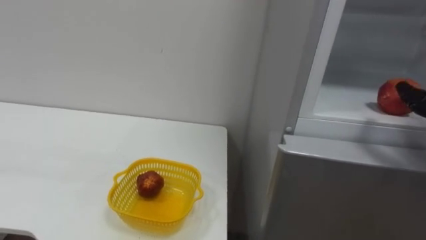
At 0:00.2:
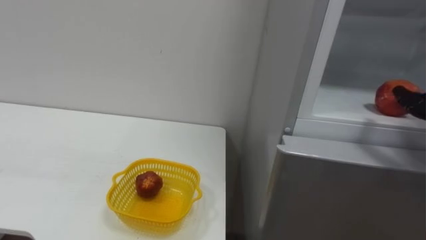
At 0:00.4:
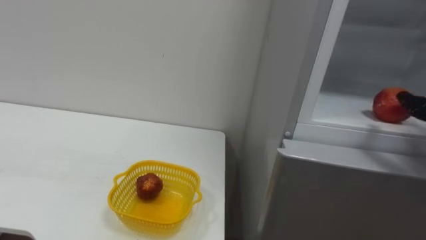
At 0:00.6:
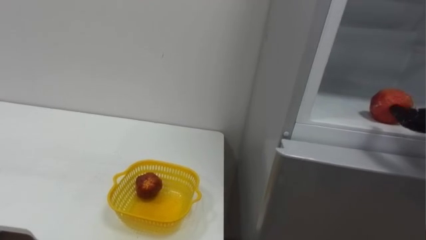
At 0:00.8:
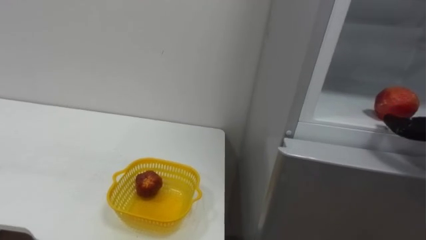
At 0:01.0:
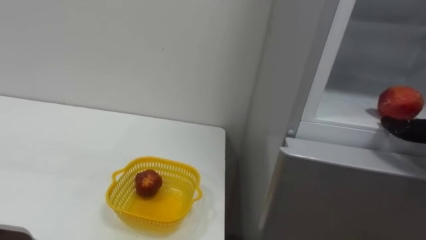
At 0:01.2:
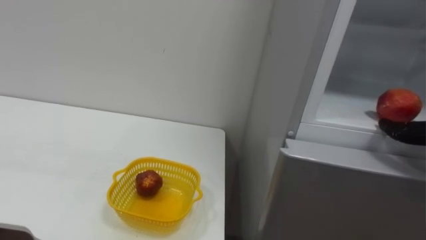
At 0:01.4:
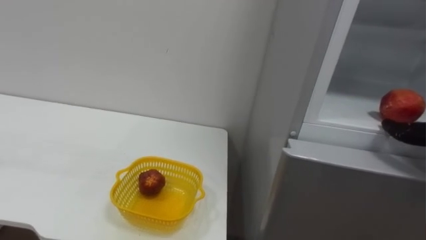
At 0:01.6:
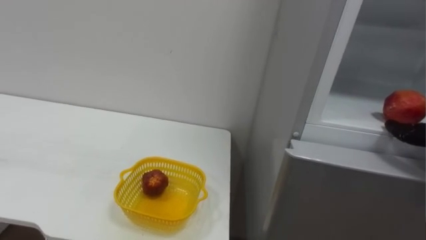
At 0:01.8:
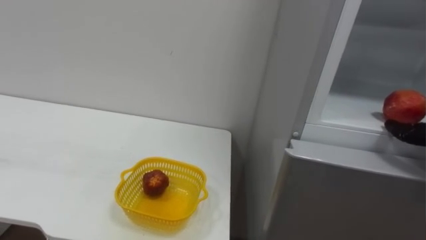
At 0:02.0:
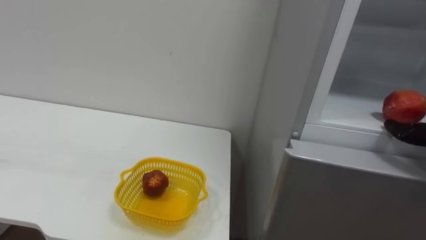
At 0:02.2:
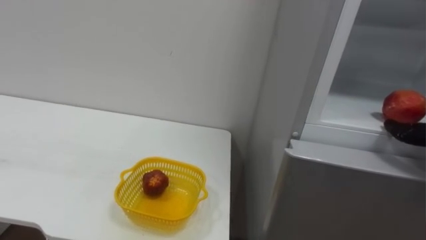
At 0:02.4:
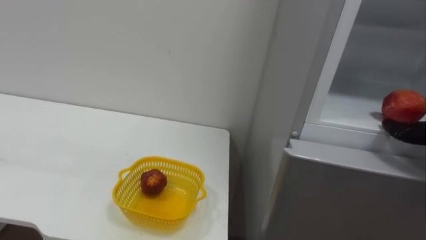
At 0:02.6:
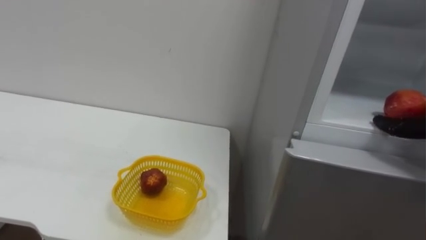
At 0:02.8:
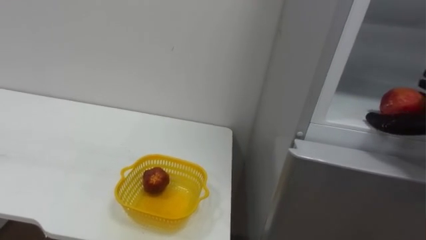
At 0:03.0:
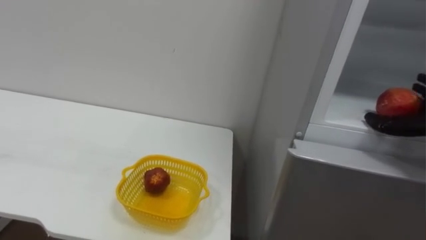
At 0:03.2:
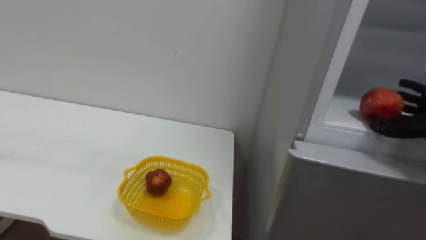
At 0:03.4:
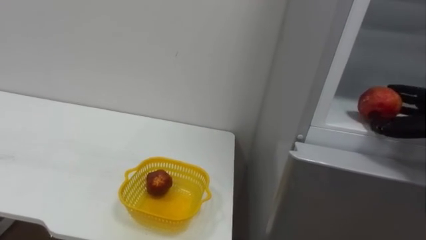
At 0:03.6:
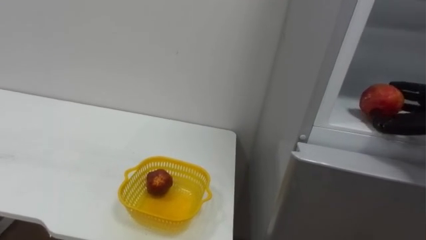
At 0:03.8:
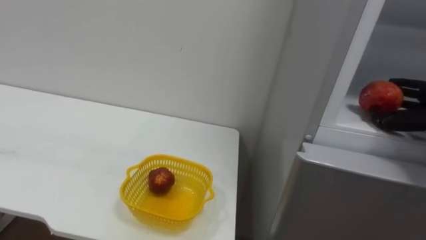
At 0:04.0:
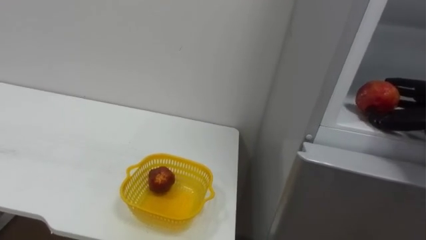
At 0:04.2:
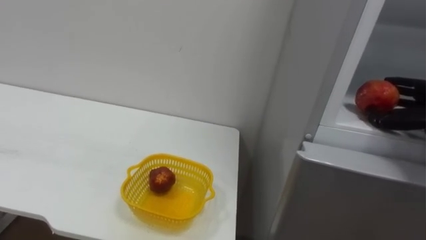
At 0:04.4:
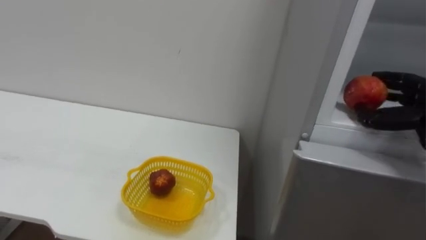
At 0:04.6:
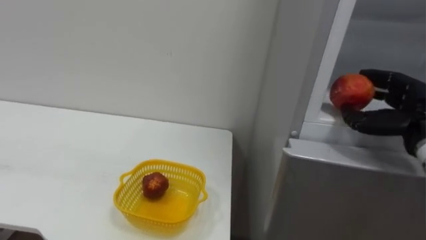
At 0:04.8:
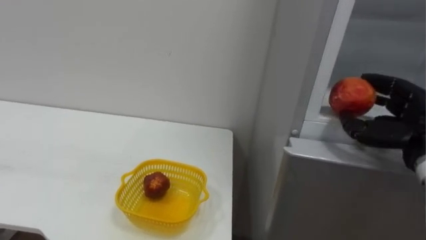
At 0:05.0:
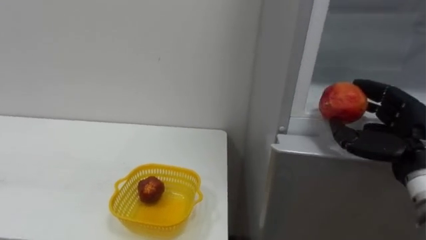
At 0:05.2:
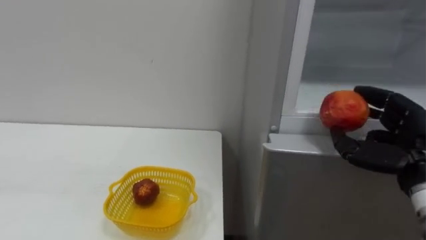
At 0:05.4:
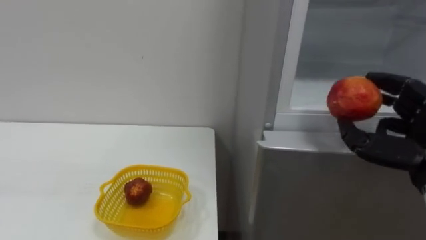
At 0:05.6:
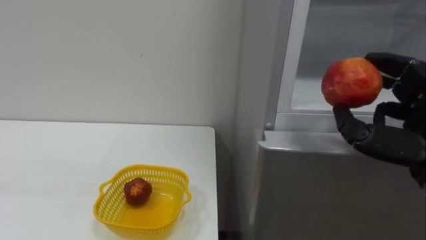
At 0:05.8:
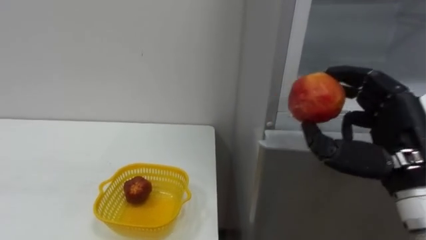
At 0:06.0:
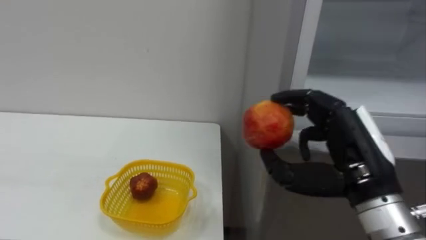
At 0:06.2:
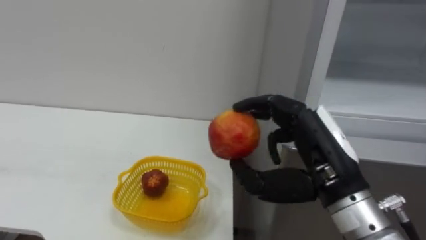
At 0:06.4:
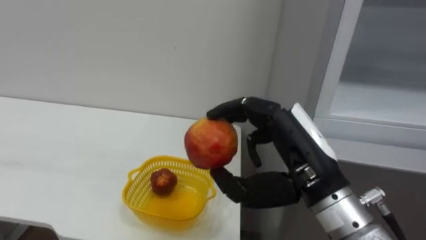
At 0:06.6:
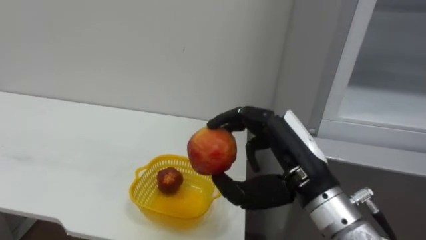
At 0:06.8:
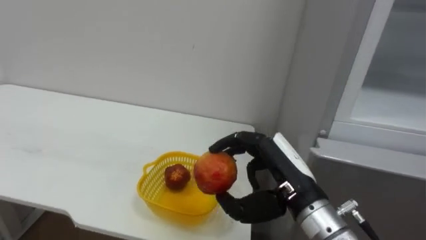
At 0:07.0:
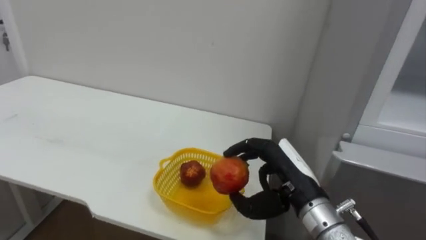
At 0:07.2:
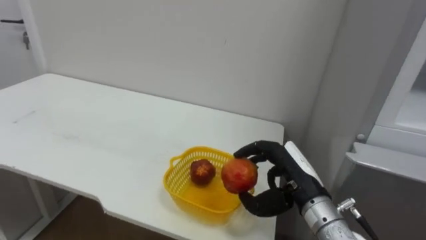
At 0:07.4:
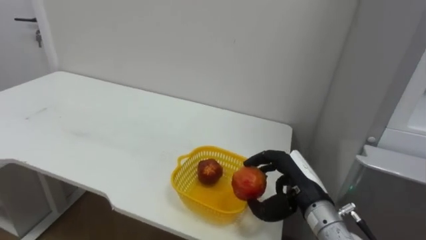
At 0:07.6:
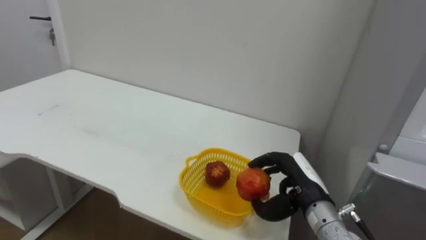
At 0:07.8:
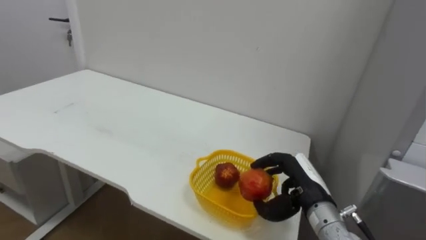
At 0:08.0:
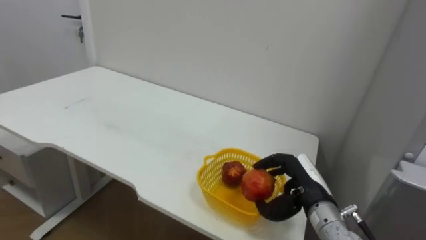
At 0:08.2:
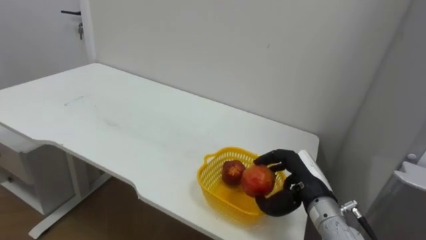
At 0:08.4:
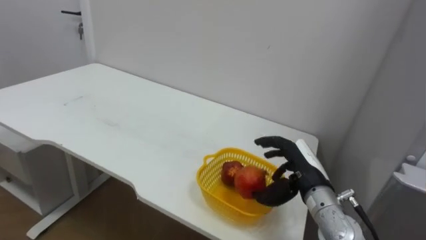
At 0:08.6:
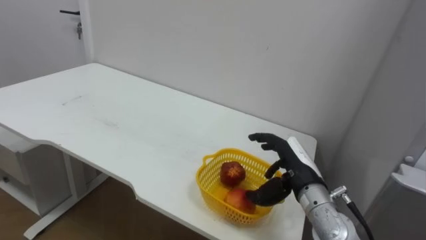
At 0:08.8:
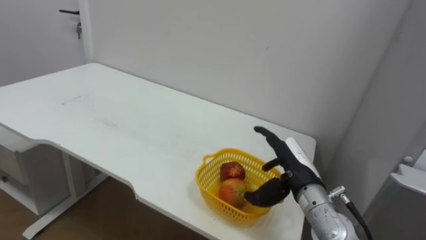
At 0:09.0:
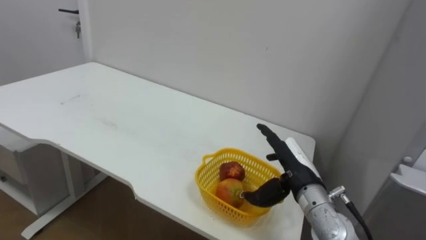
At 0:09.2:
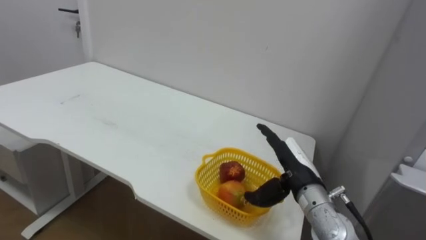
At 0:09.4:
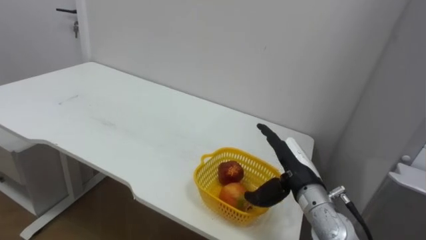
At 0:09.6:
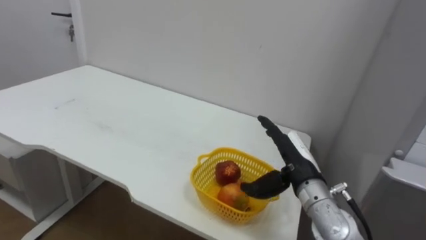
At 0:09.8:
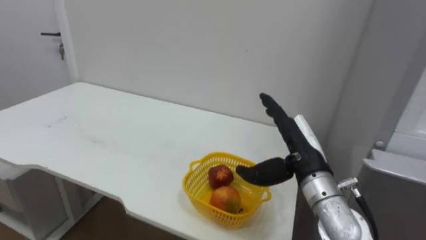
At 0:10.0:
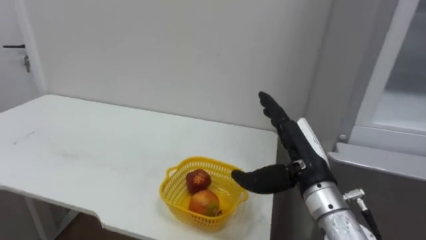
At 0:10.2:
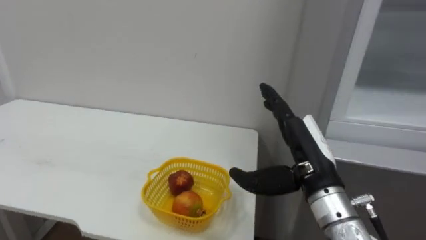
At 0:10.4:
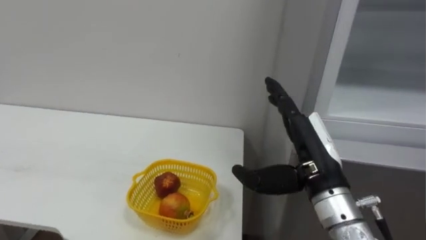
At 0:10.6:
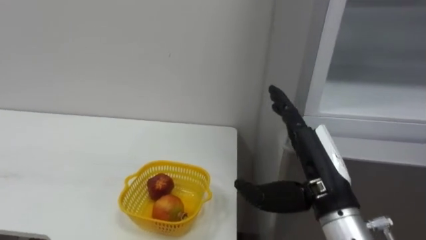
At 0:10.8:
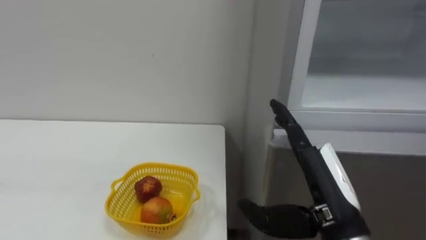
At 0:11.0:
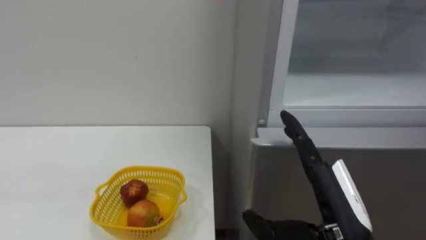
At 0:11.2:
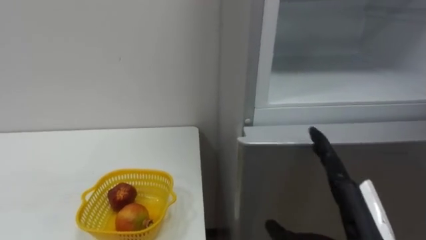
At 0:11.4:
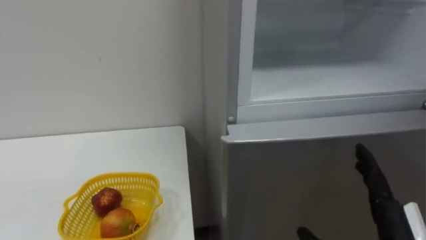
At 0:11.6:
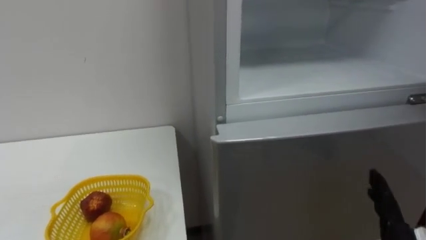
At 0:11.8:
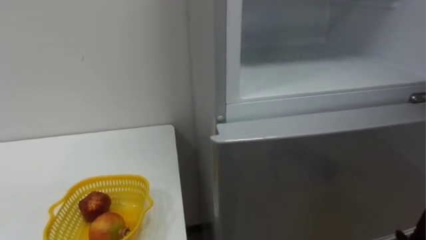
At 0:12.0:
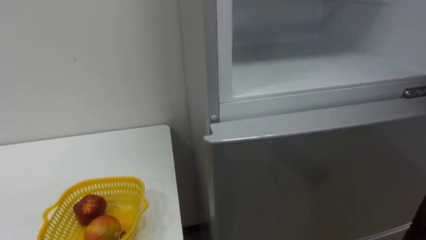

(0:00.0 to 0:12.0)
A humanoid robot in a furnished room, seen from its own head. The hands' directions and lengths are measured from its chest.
Task of the whole recording: Open the refrigerator door, take out the apple and the pomegranate, place them in the fruit basket on the left, and close the refrigerator door.
0:06.0 - 0:07.6: The right hand travels downward and forward by roughly 15 cm.
0:07.6 - 0:09.0: The right hand opens its fingers.
0:09.0 - 0:10.4: The right hand is displaced upward and backward by some 10 cm.

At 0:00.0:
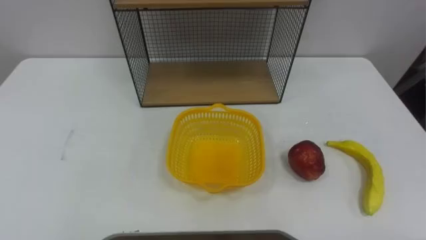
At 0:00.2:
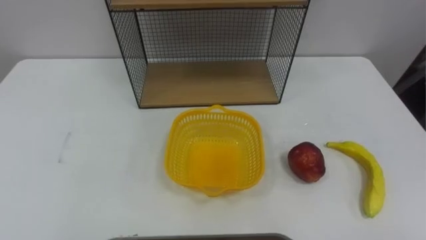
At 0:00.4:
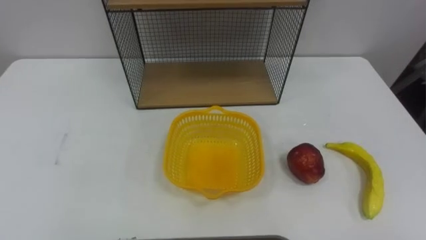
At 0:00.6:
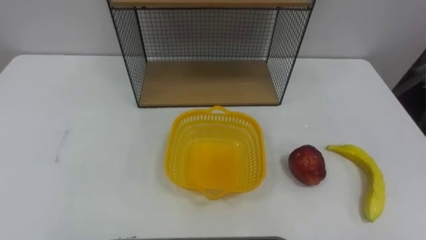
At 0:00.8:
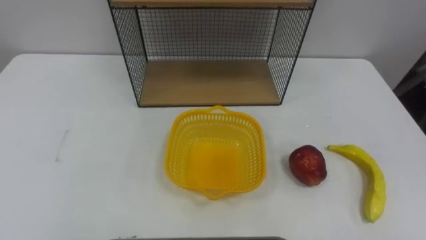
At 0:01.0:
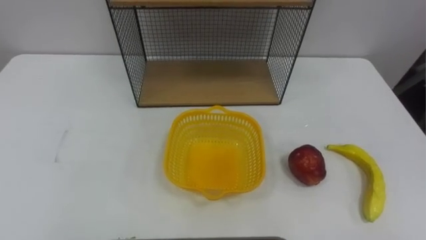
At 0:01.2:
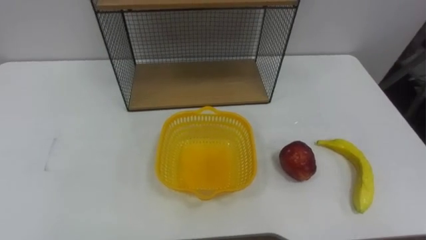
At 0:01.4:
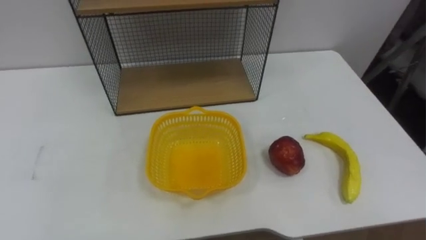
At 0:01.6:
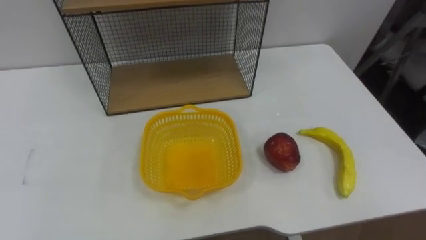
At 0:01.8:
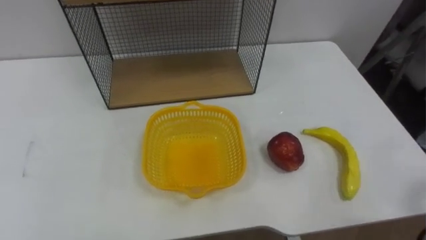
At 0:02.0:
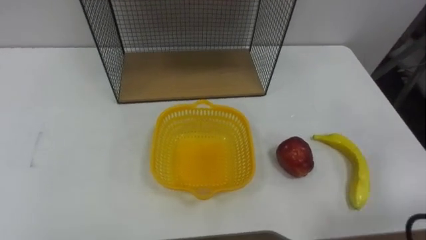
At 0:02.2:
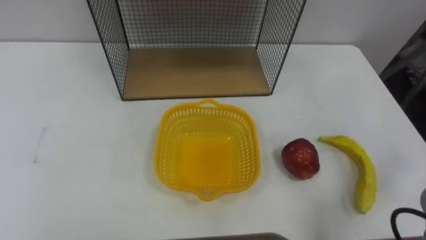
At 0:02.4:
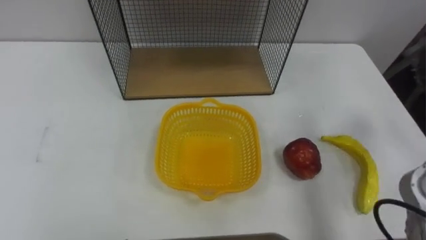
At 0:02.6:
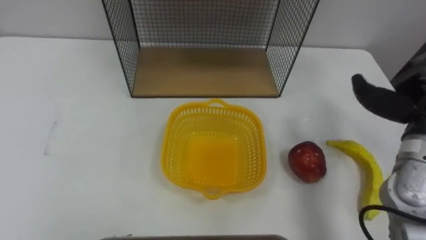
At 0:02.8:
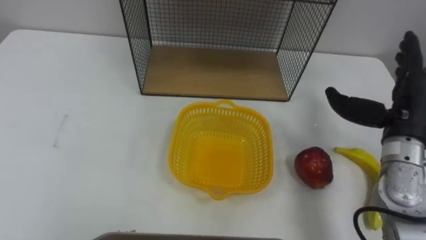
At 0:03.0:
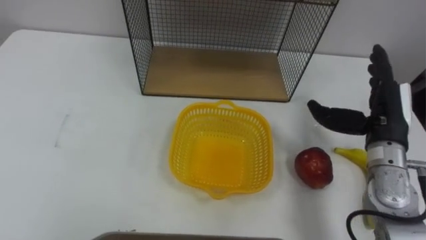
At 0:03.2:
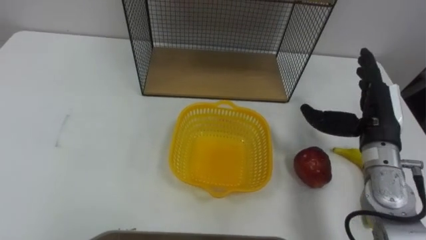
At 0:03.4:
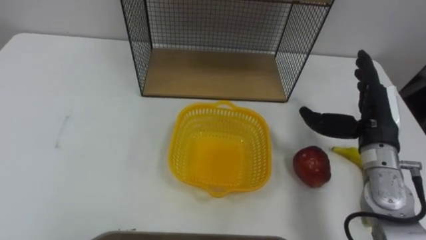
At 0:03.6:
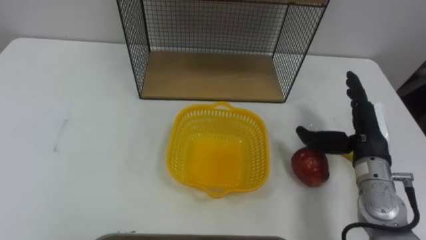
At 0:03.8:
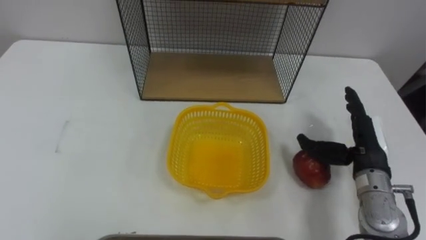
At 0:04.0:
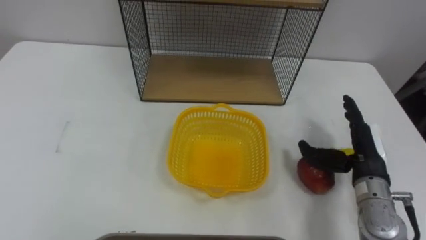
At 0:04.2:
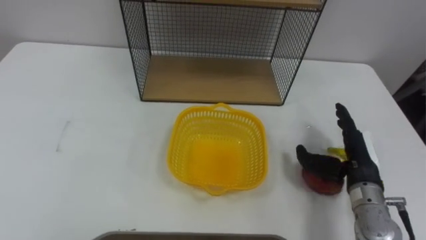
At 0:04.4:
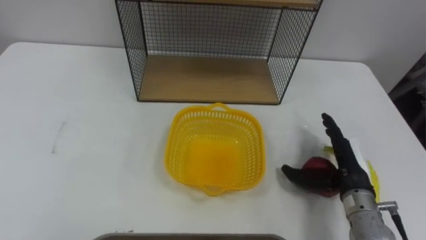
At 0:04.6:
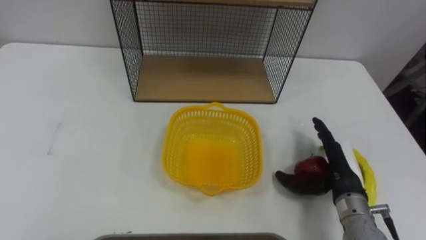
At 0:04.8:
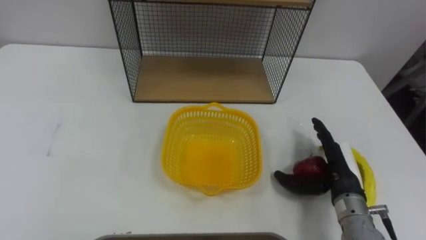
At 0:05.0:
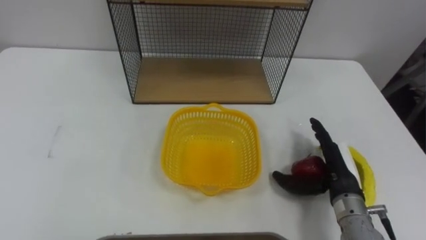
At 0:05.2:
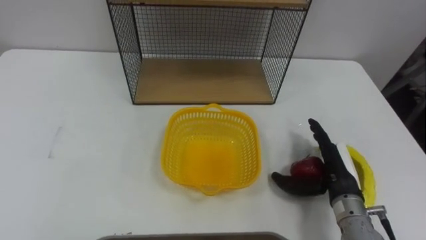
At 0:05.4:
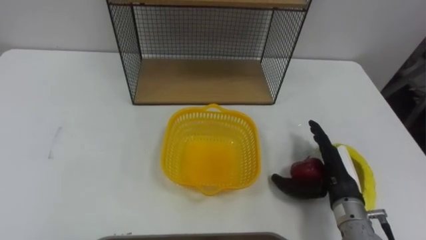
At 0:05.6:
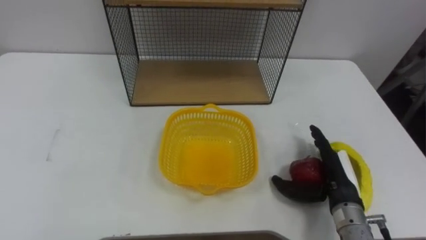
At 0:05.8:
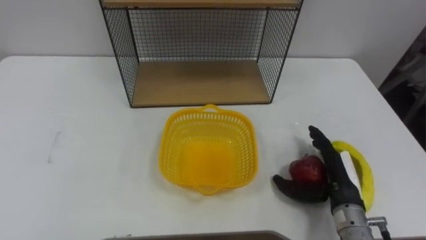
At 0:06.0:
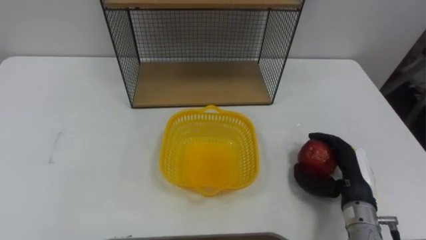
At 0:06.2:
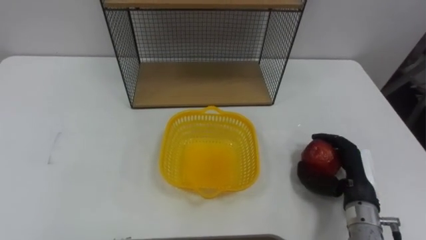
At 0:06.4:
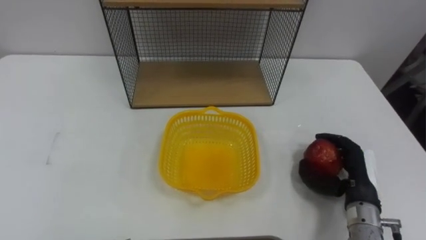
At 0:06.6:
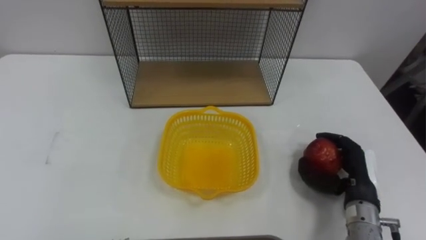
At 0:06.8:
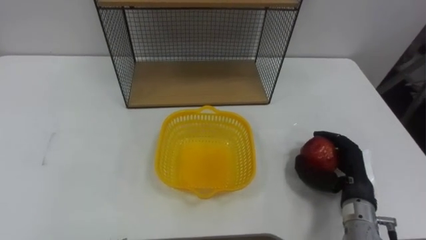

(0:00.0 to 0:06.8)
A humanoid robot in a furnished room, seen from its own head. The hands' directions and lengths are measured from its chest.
Task of the whole recording: Put the fruit on the table into the basket, then place the basket on the shelf.
0:02.8 - 0:04.0: The right hand moves downward, some 10 cm.
0:04.0 - 0:05.4: The right hand ends up approximately 5 cm from where it was.
0:05.4 - 0:06.8: The right hand closes.
